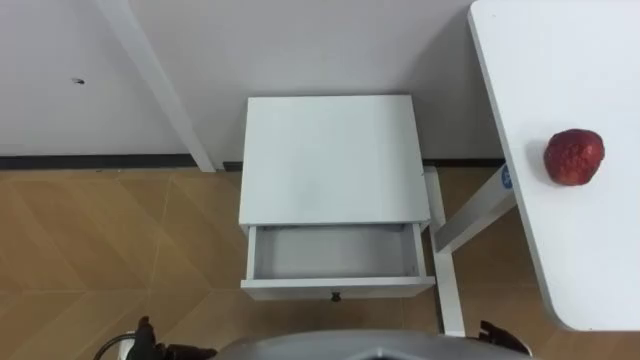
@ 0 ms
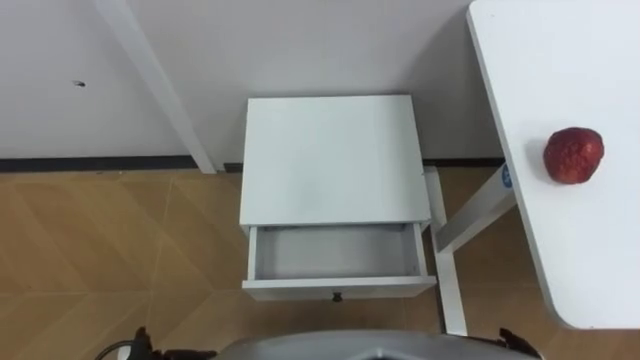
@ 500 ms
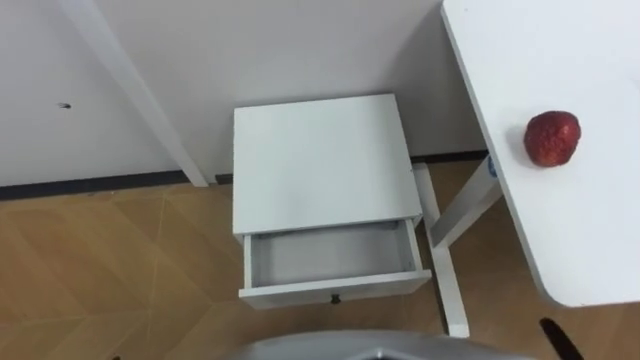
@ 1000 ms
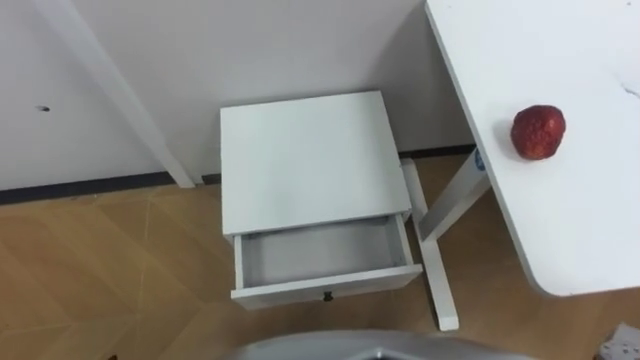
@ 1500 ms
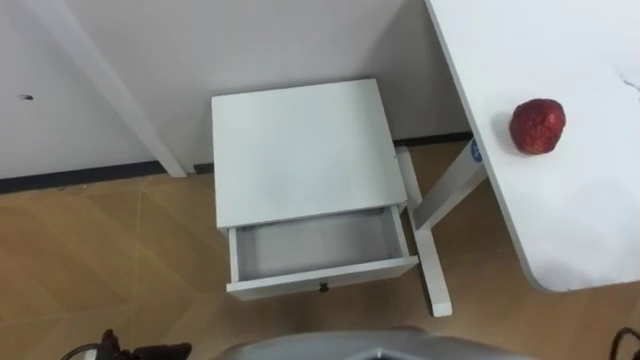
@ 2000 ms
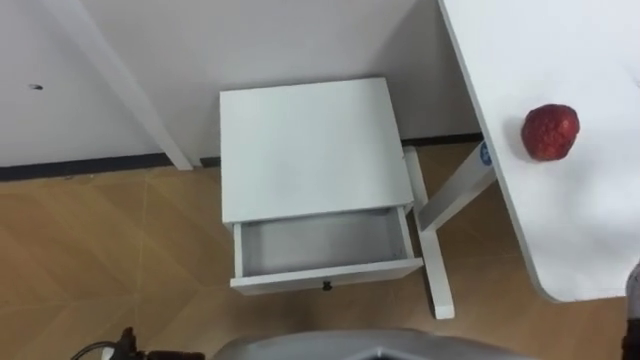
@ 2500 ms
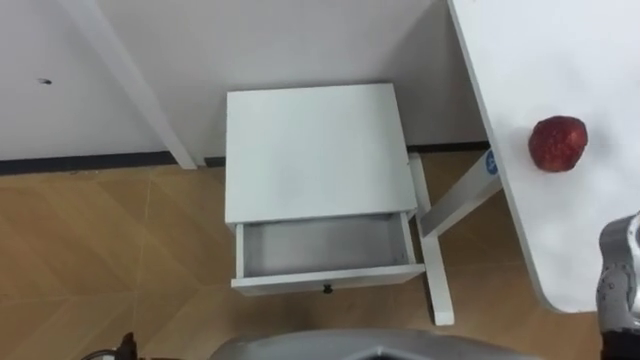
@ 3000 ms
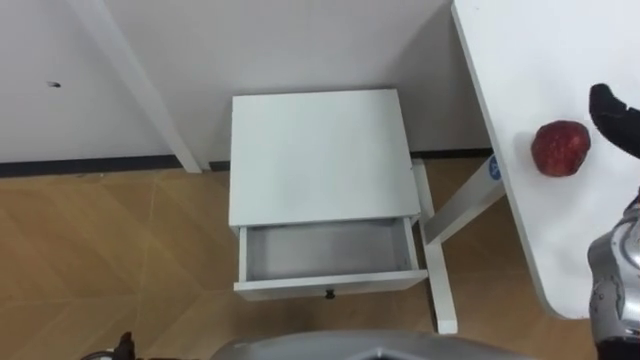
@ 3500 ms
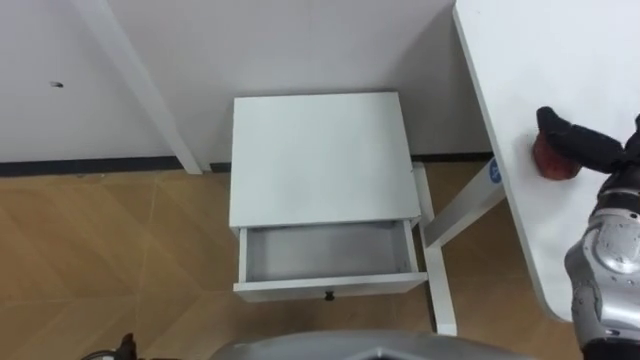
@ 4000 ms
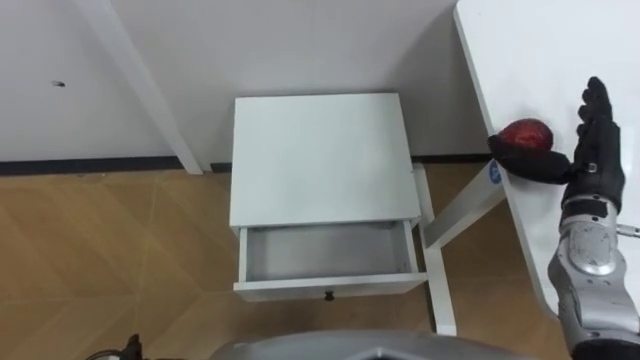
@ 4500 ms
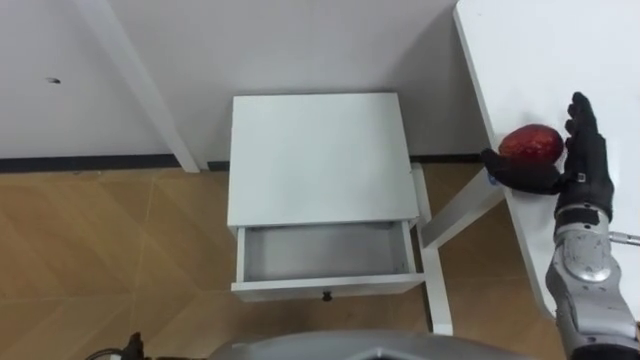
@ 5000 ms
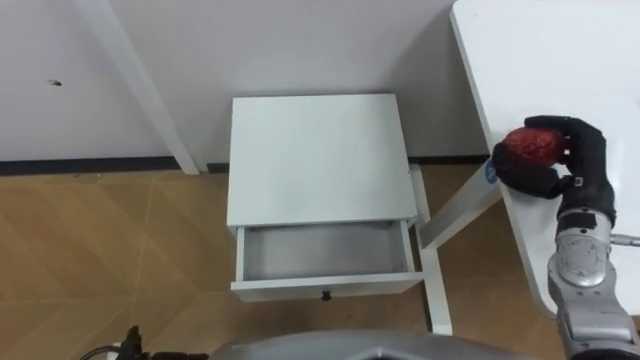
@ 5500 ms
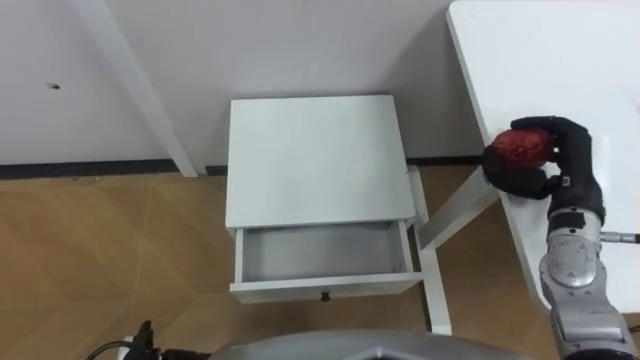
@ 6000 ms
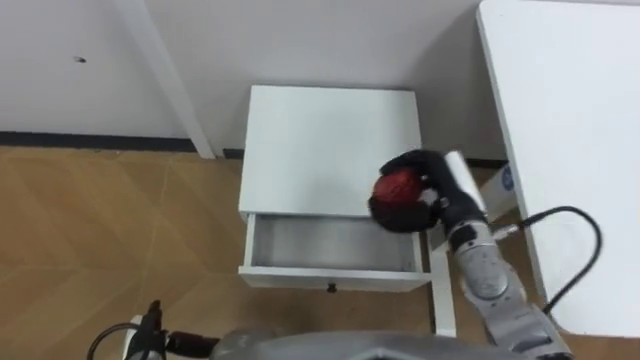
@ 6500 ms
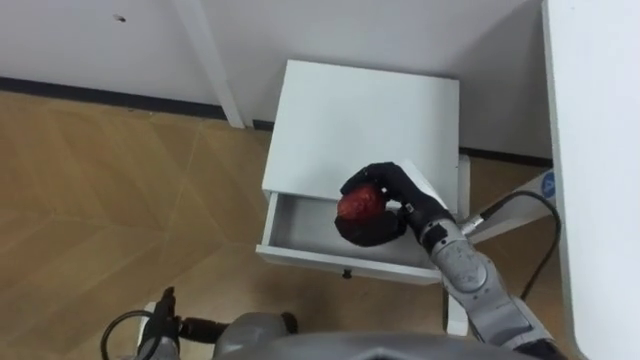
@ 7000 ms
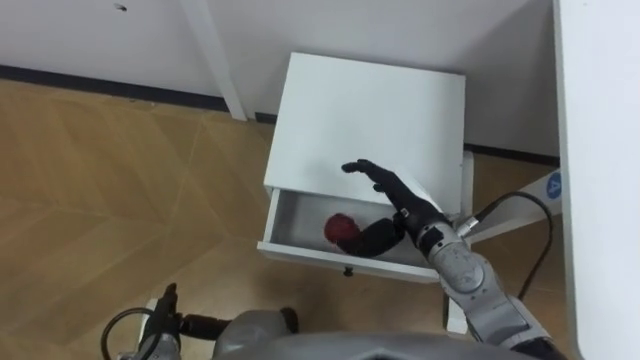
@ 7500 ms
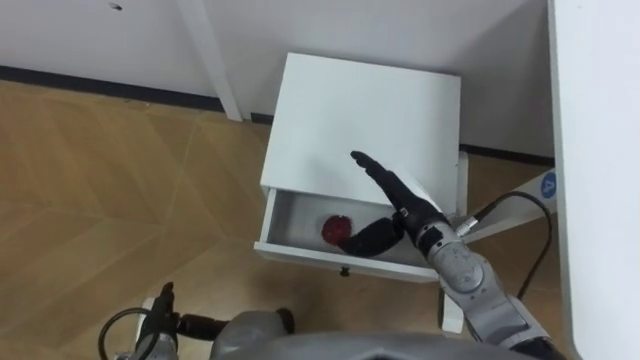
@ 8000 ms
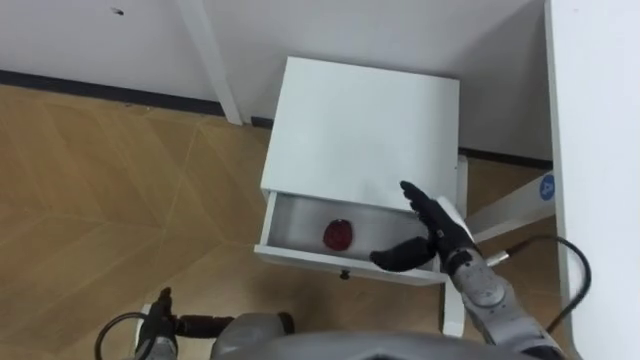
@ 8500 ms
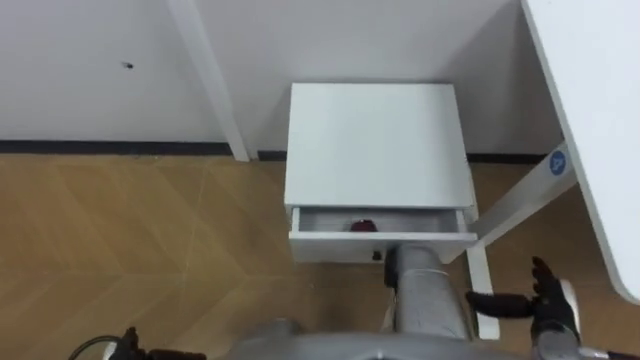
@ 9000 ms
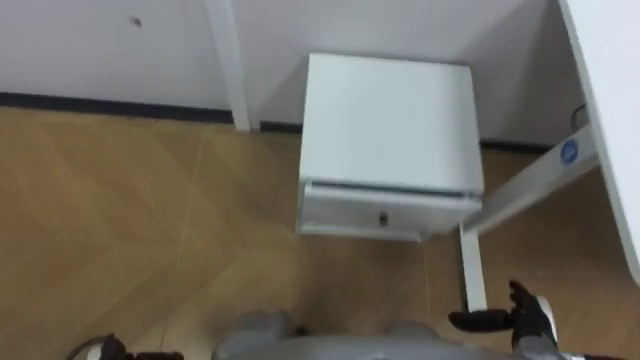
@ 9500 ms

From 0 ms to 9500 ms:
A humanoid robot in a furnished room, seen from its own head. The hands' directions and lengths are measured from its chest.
Task of the whole recording: Pick up the apple from the table, put it in the drawer, and close the drawer with leg.
From 4000 ms to 5500 ms: The right hand changes place by about 5 cm, and closes.
From 5500 ms to 7500 ms: The right hand goes approximately 20 cm to the left, and opens its fingers.
From 7500 ms to 9500 ms: The right hand heads to the right, backward and downward, covering roughly 25 cm.

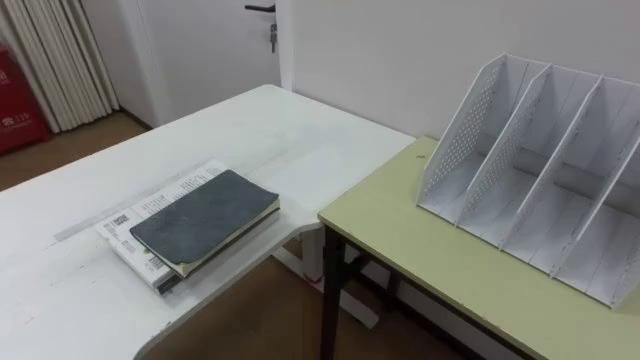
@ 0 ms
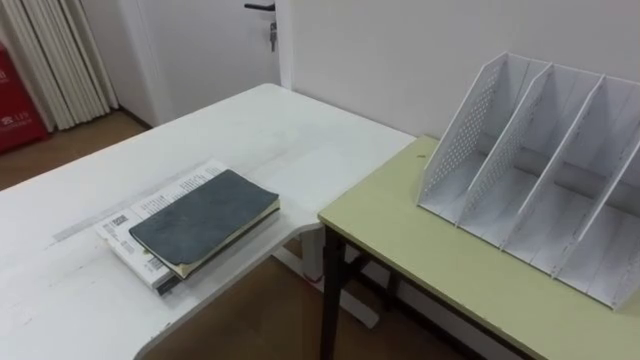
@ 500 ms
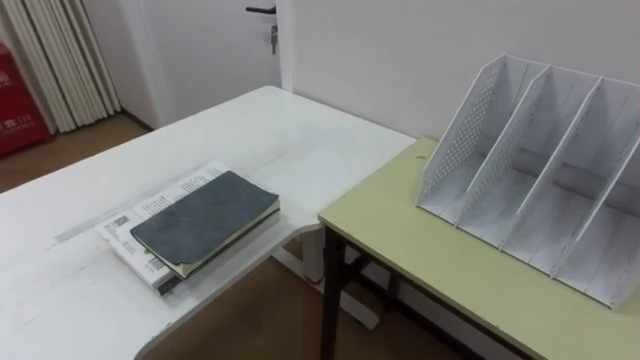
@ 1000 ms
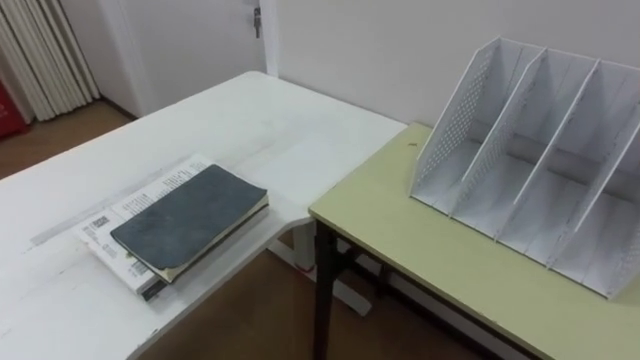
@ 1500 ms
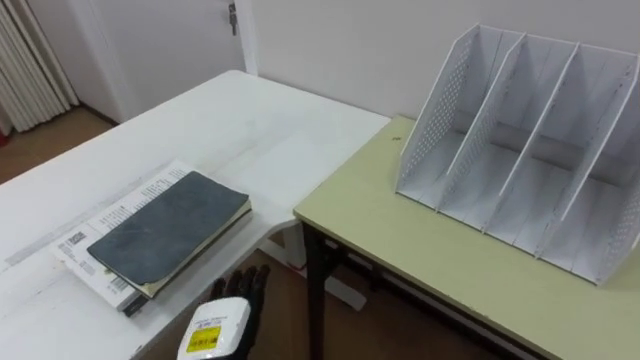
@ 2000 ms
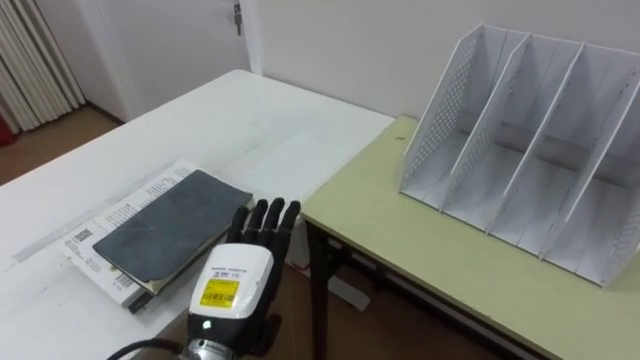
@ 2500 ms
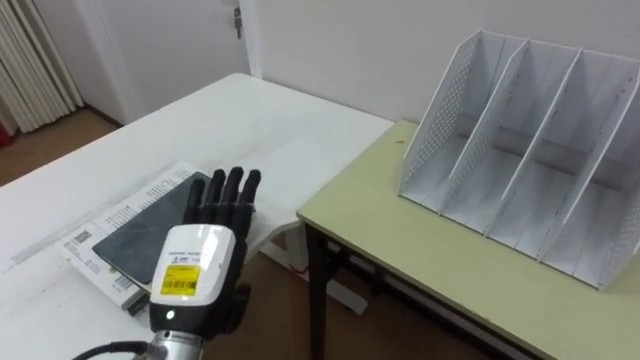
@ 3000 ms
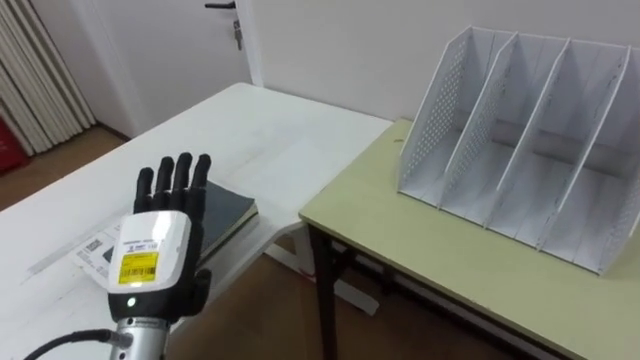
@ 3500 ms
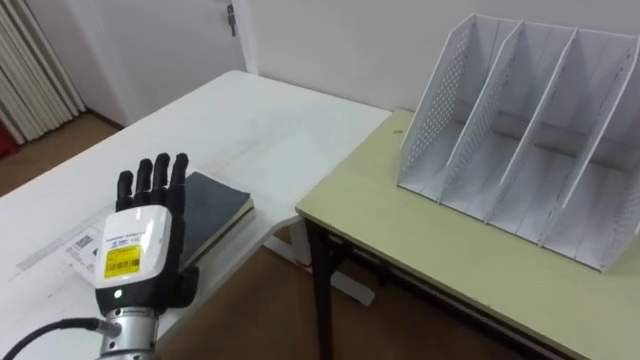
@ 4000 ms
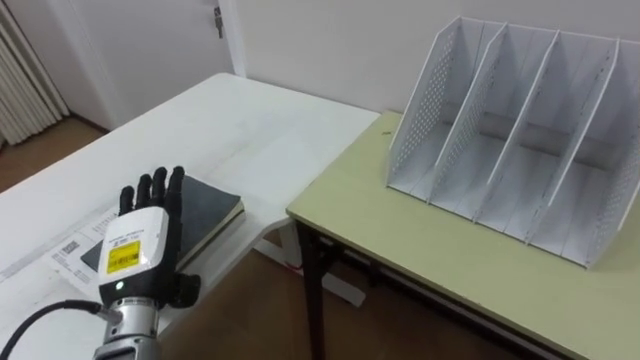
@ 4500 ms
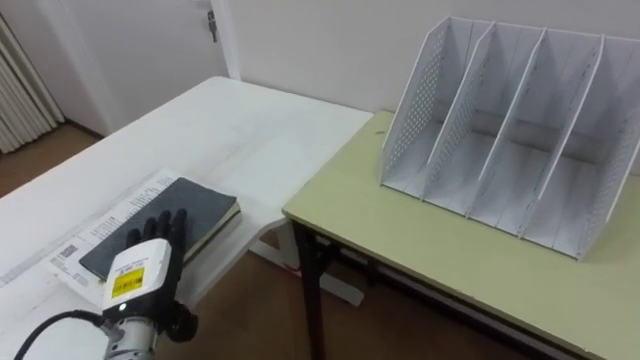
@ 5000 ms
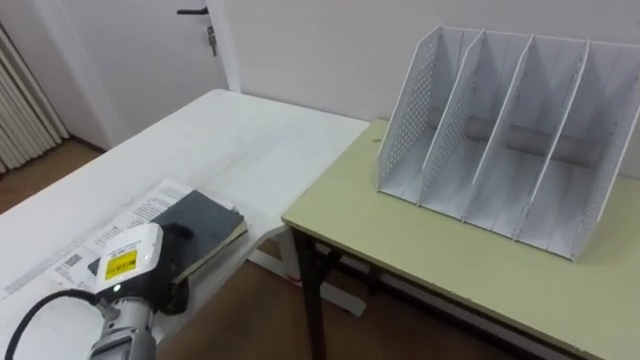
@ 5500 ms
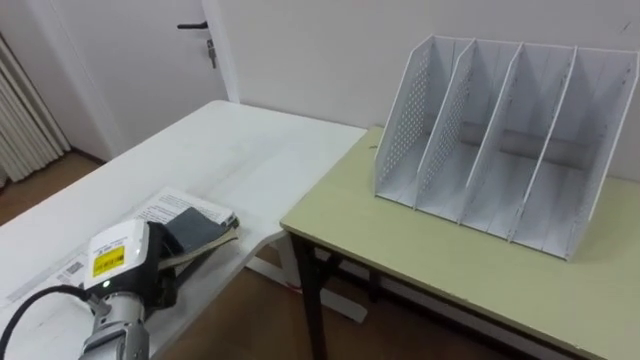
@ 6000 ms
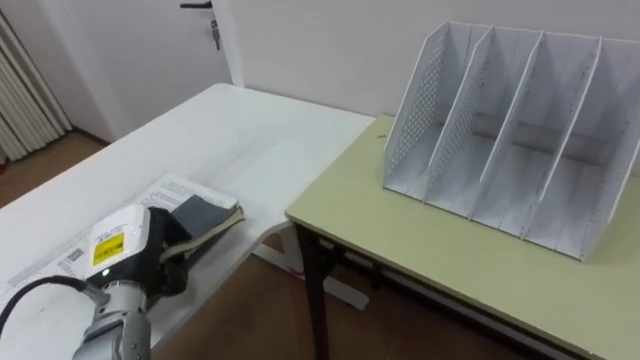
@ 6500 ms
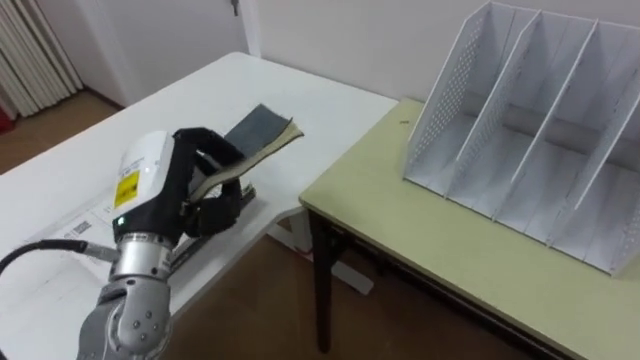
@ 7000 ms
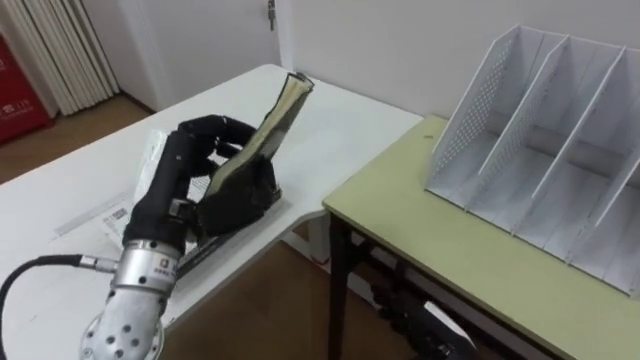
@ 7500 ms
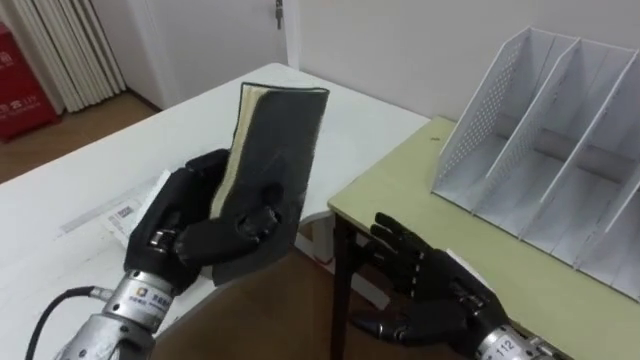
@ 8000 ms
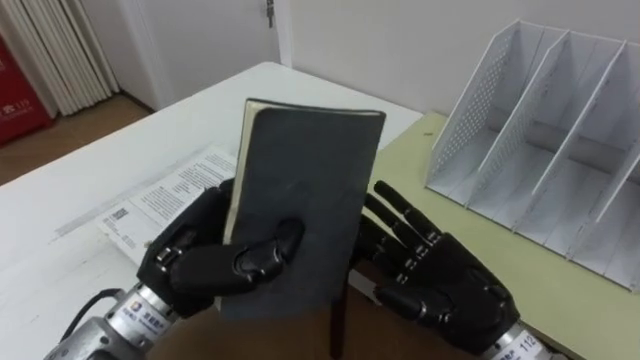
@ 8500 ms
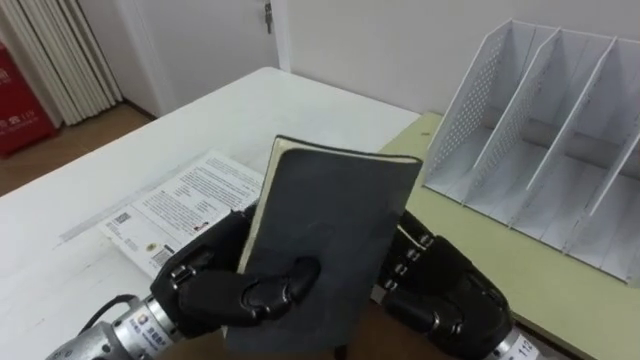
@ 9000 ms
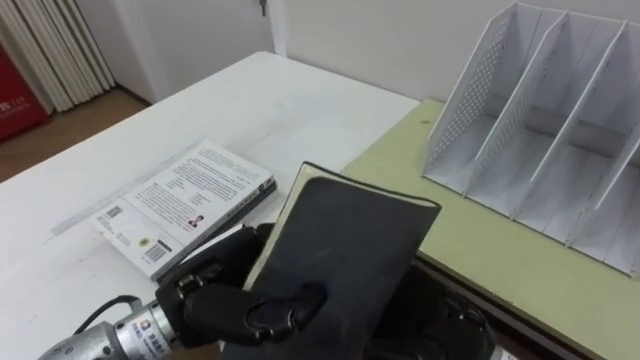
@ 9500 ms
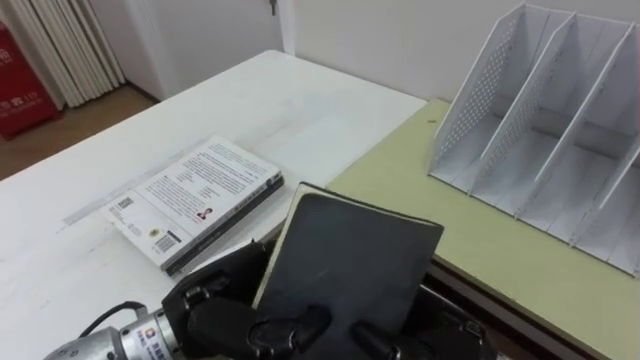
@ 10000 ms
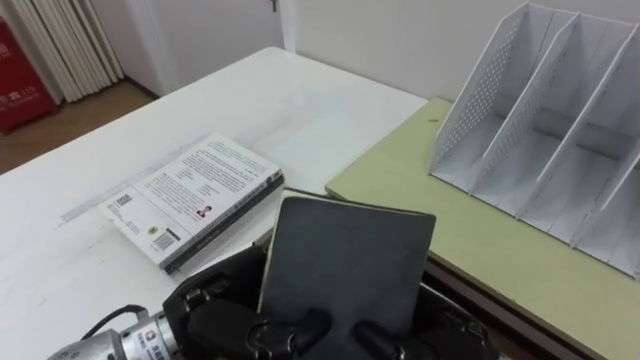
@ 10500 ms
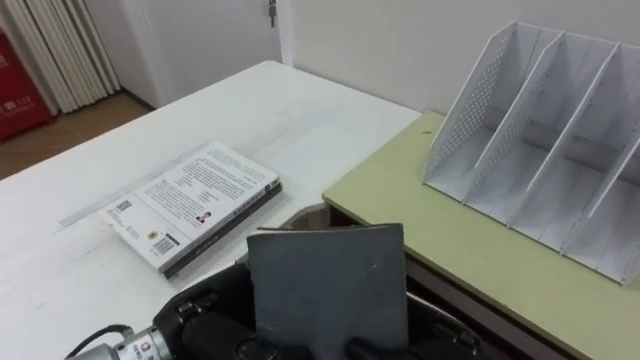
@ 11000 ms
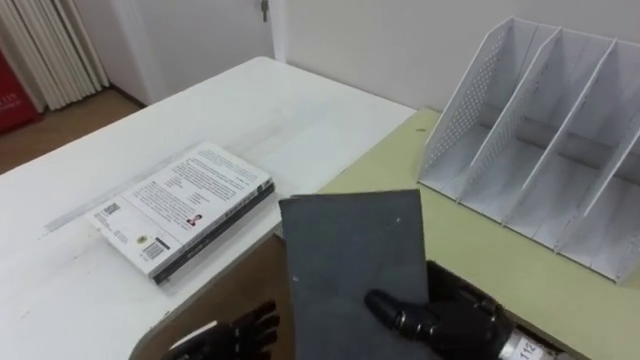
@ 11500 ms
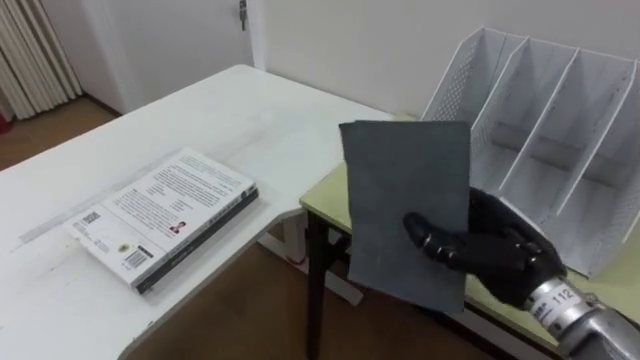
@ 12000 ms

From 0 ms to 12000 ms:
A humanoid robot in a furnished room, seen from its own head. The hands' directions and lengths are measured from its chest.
Task of the whole recording: Put the books on the table onto the bookshelf.
From 2000 ms to 4000 ms: The left hand is displaced upward and to the left by roughly 15 cm.
From 4000 ms to 6000 ms: The left hand shifts approximately 5 cm downward, and closes its fingers.
From 6000 ms to 8000 ms: The left hand moves upward and to the right, approximately 15 cm.
From 8000 ms to 10000 ms: The right hand ends up some 5 cm from where it was, and closes, while the left hand shifts roughly 5 cm to the right.
From 10000 ms to 12000 ms: The right hand heads to the right and forward, covering some 10 cm.
